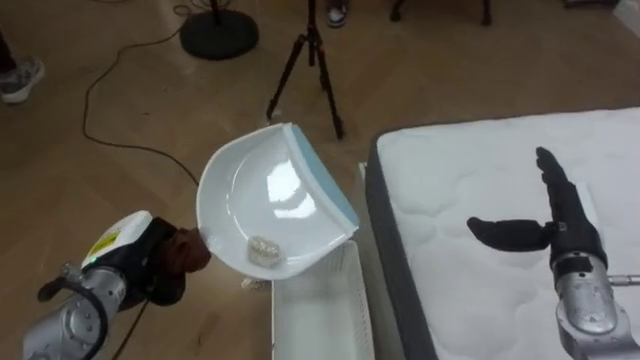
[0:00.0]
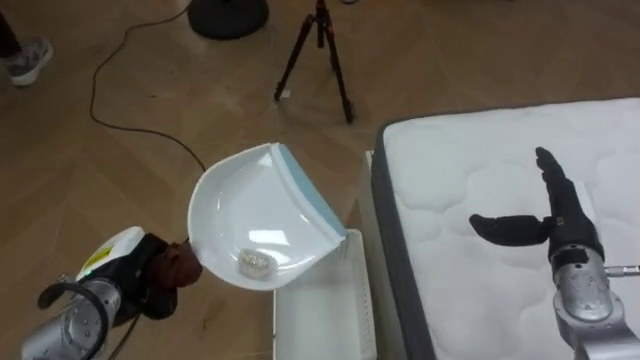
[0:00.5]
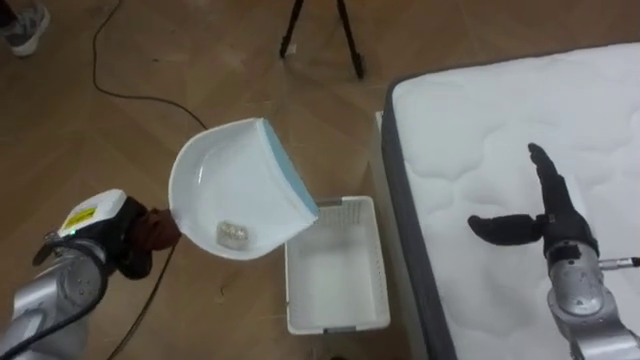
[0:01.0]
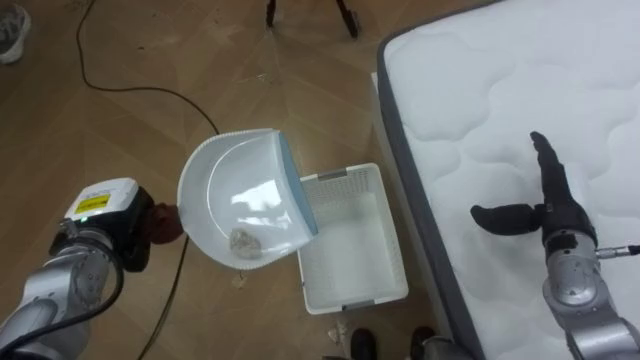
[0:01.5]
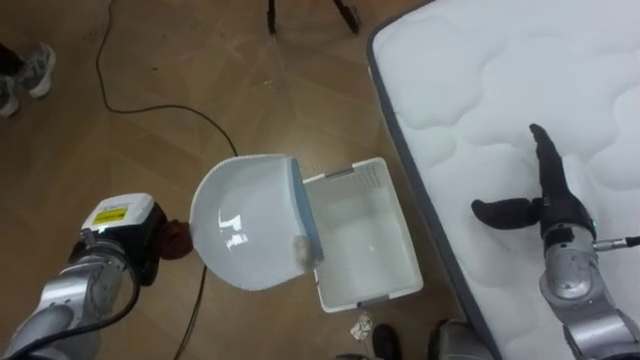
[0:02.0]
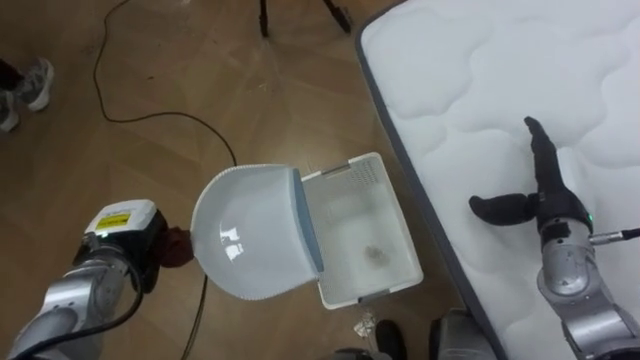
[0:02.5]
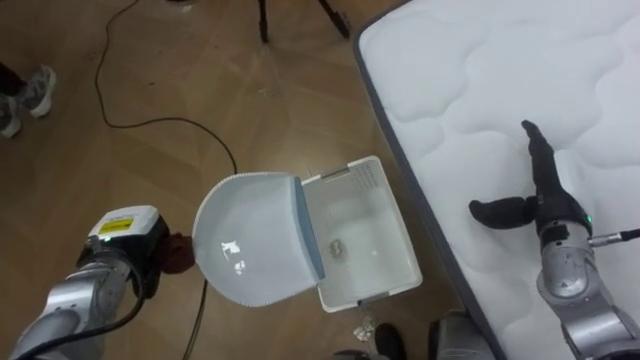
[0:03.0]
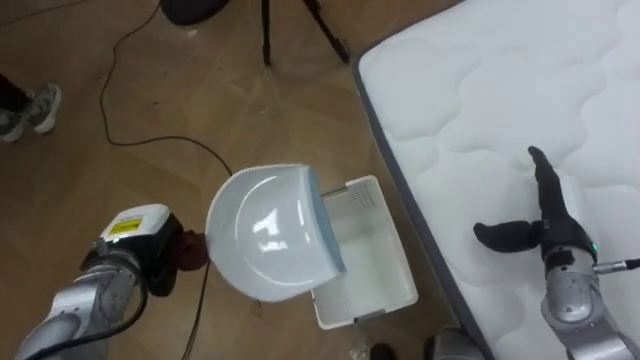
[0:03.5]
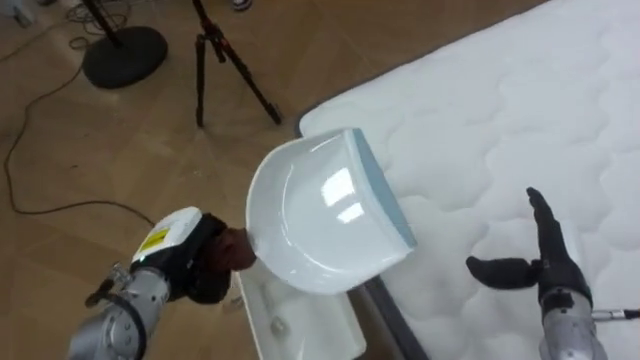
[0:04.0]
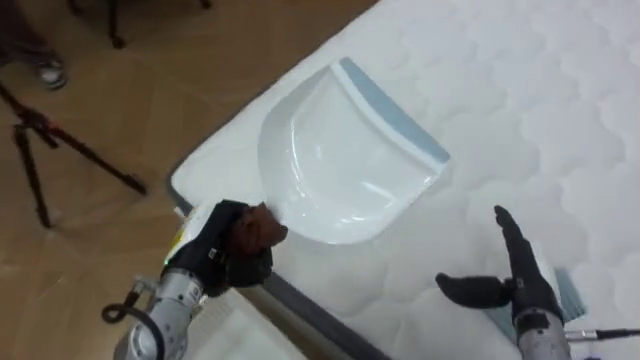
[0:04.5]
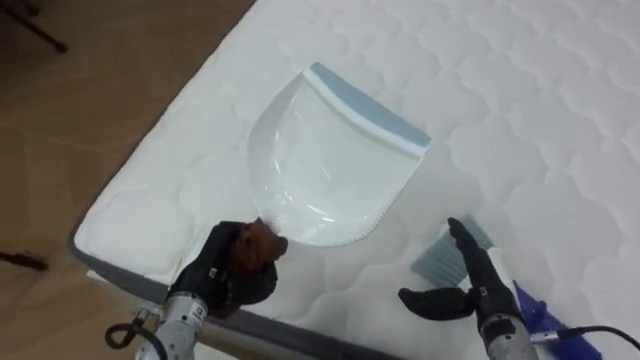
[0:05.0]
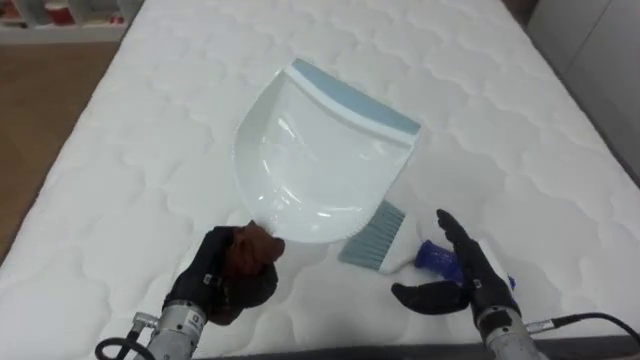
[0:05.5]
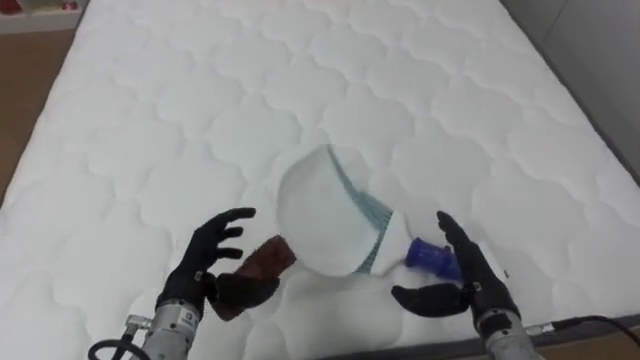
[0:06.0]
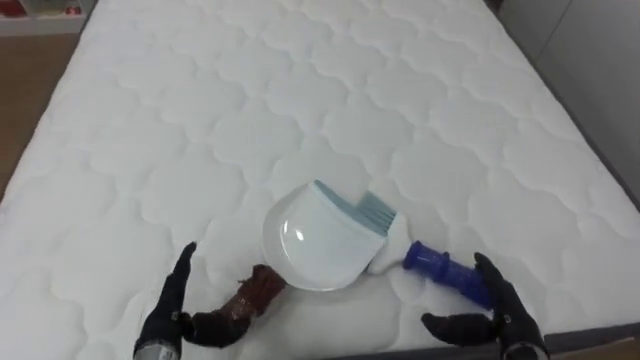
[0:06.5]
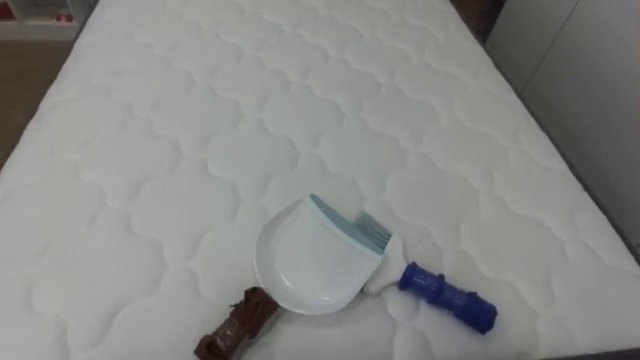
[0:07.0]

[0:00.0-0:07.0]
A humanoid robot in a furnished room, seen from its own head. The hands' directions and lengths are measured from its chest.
Task of the whole recording: Pick up the brush on your right and the dustpan on your left. Use the brush to sweep the crumpled paper on the bed into the dustpan, then turn left and empty it into the basket.
0:03.5 to 0:05.0: The robot faces some 60 degrees further to its right. The right hand travels to the left, backward and downward by about 15 cm, while the left hand travels to the right by some 10 cm.
0:05.0 to 0:07.0: The robot turns to its right by about 25 degrees.

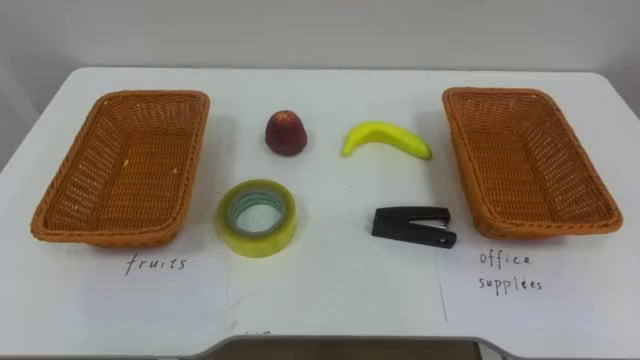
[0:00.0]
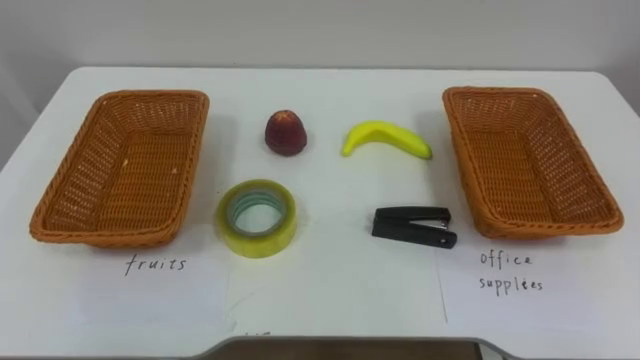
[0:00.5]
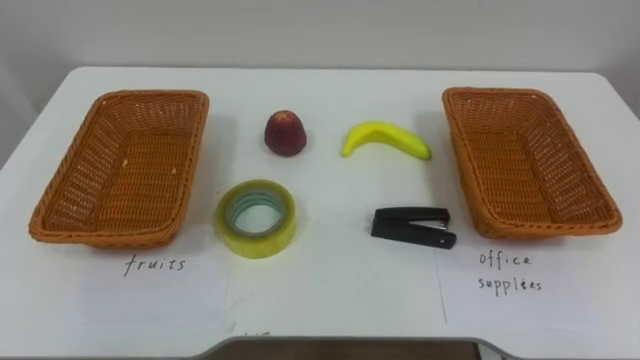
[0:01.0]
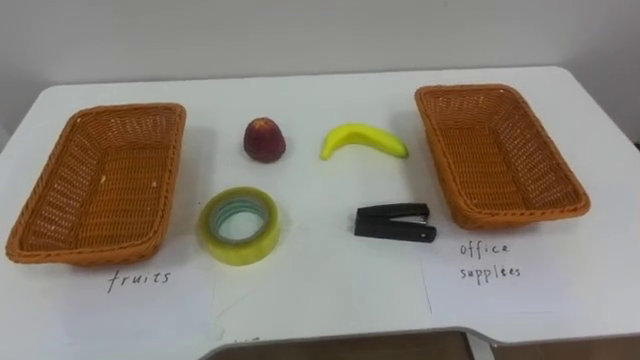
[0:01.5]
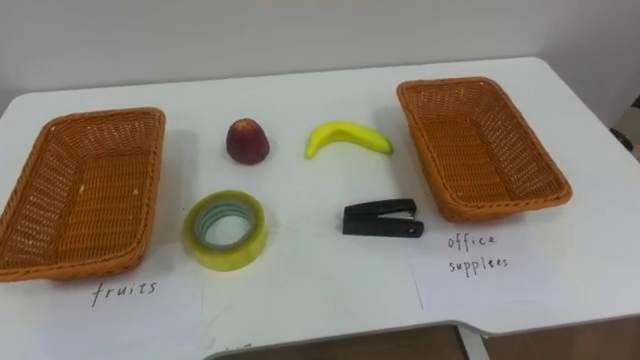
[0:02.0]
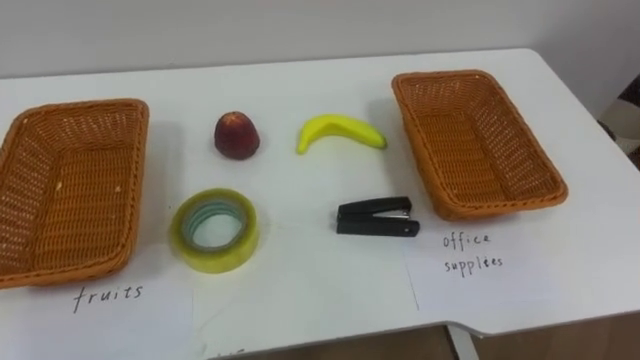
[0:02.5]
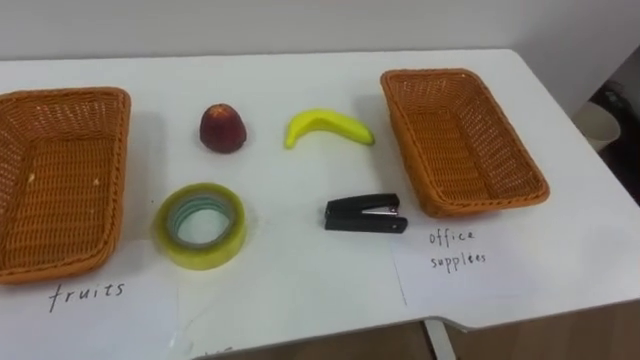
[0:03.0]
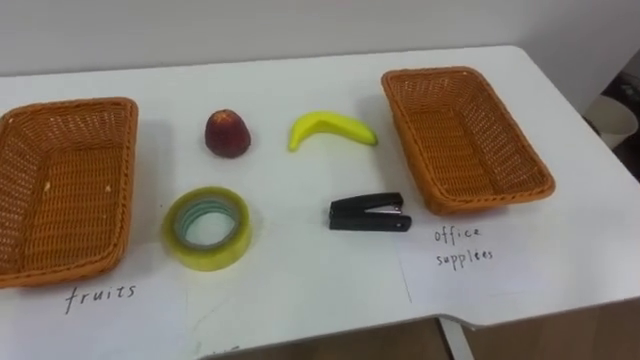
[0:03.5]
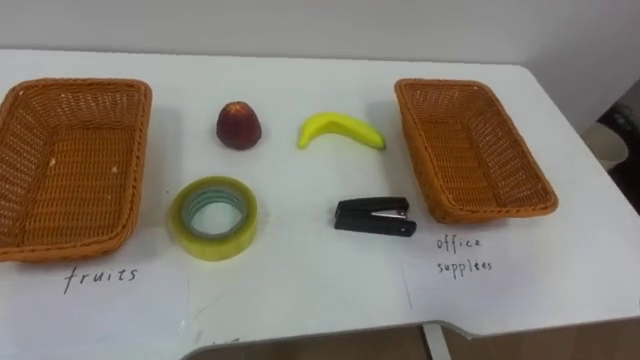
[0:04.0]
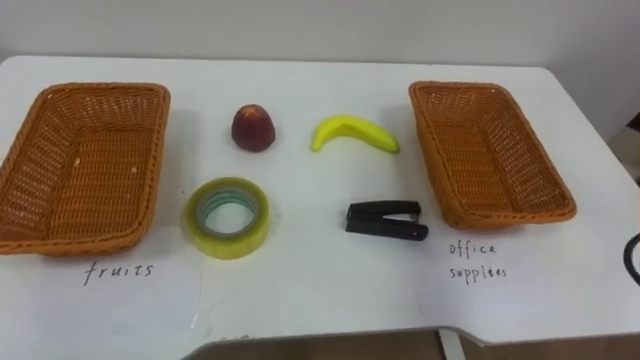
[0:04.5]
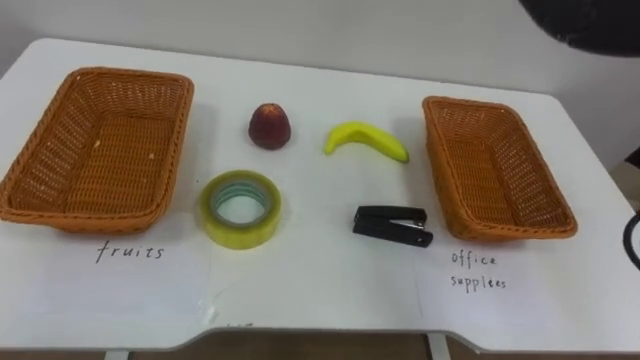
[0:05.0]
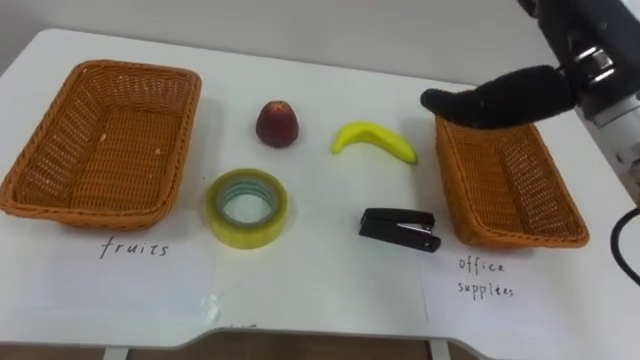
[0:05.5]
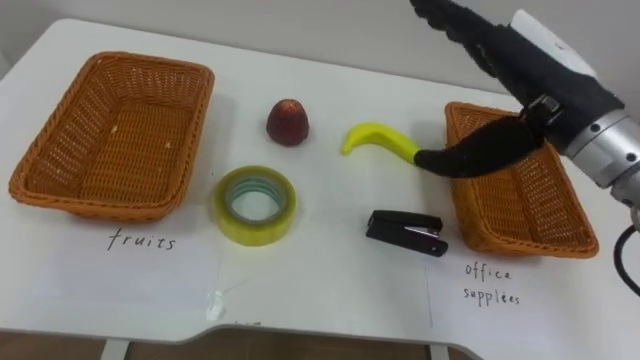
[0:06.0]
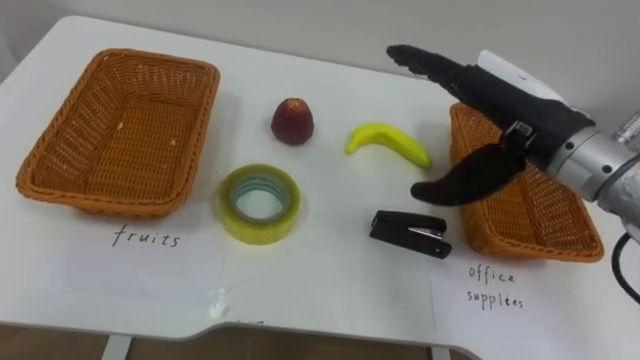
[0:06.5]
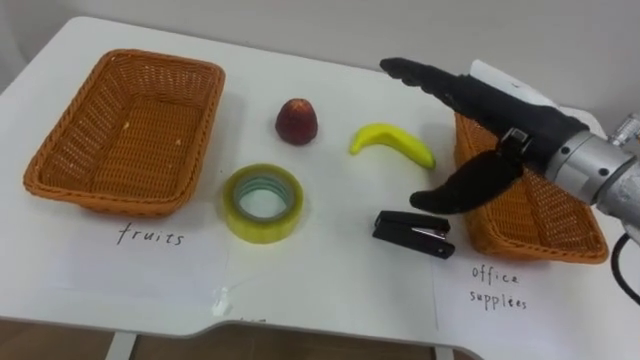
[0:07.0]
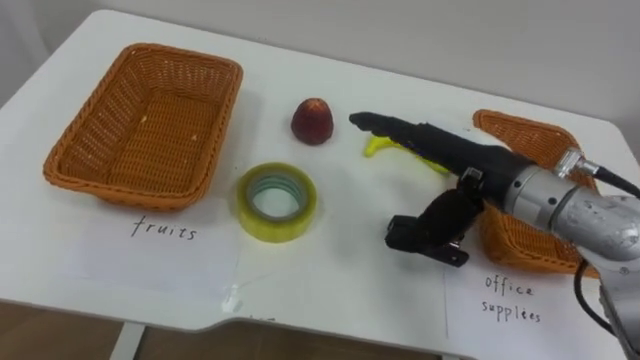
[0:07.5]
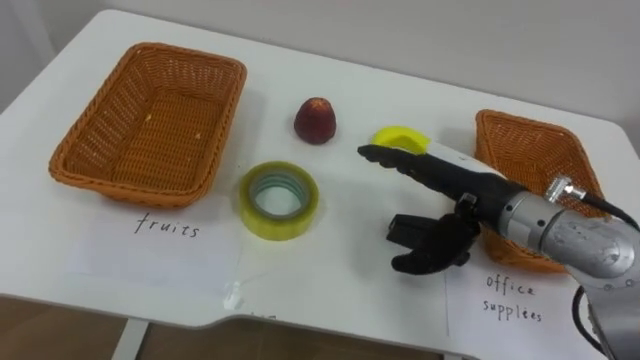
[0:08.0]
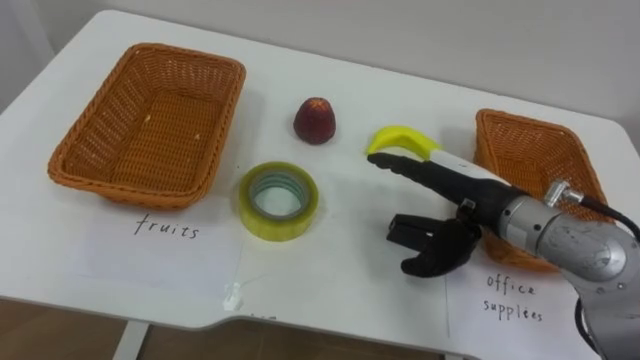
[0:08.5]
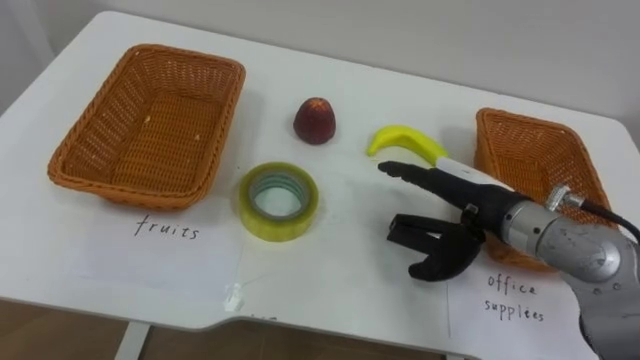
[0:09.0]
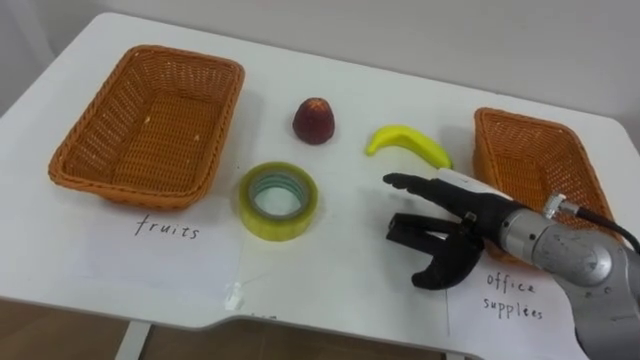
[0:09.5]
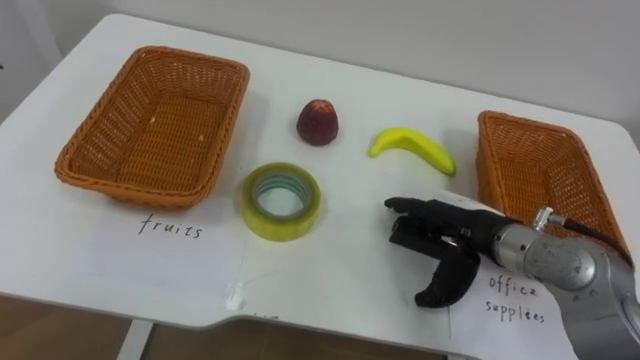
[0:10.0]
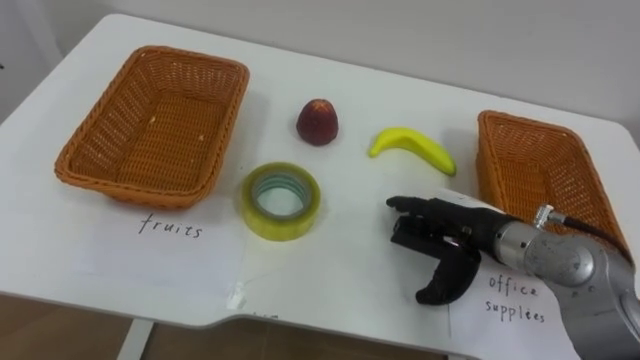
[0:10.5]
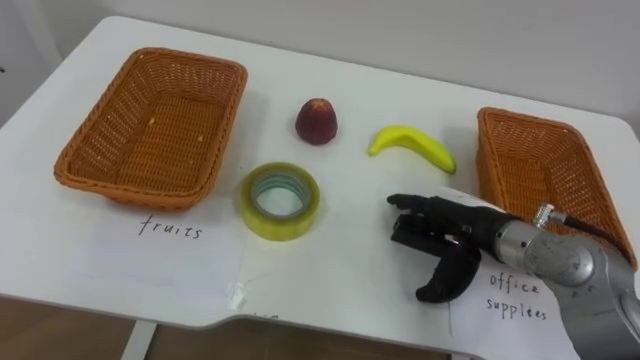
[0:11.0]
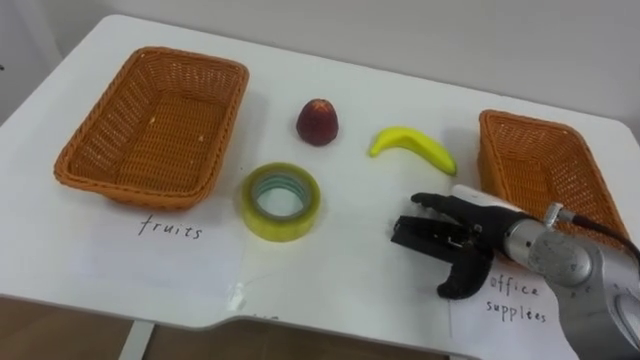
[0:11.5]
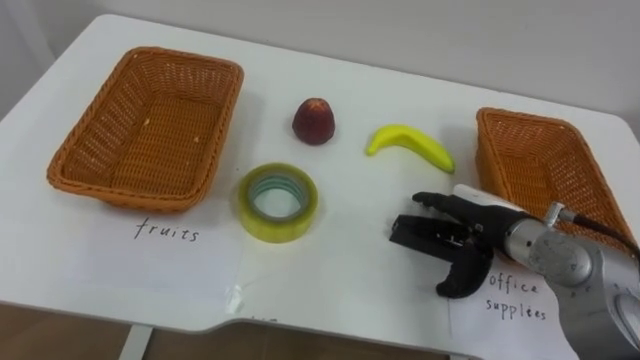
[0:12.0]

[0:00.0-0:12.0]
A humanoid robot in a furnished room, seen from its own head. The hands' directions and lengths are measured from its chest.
Task of the whole recording: Separate the items on the table and place them into the two baskets.
0:06.0 to 0:08.0: The right hand moves downward, roughly 10 cm.
0:08.0 to 0:10.0: The right hand travels downward by some 5 cm.

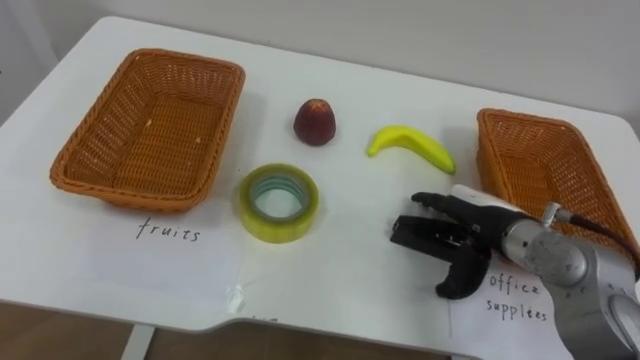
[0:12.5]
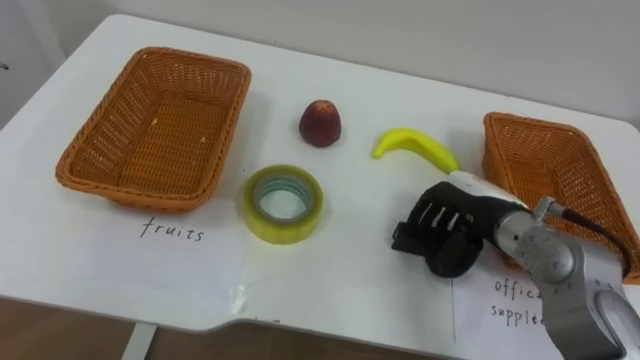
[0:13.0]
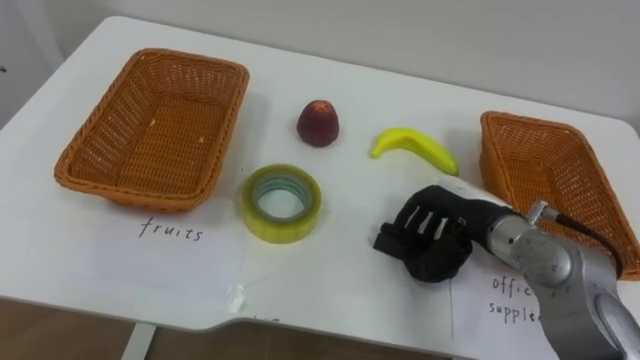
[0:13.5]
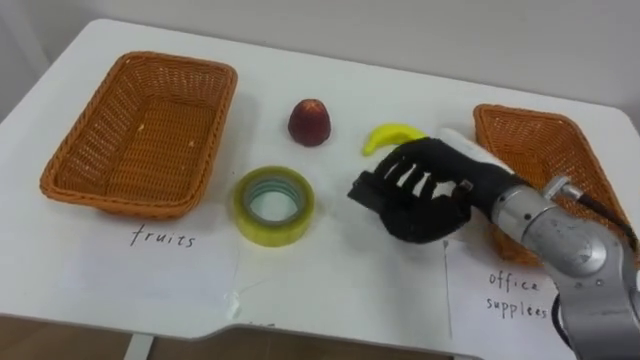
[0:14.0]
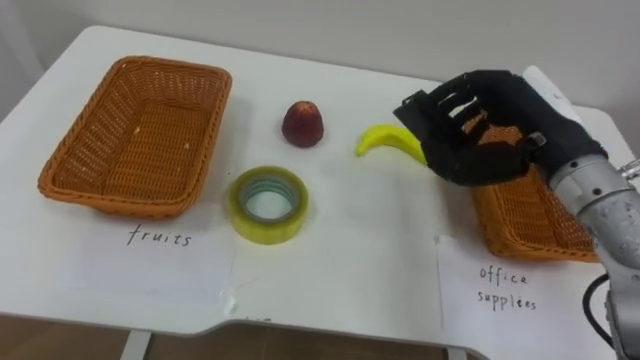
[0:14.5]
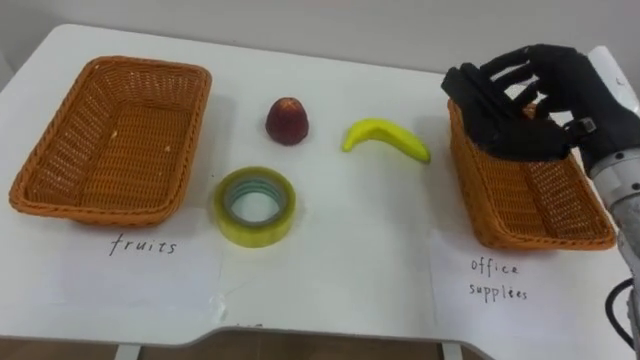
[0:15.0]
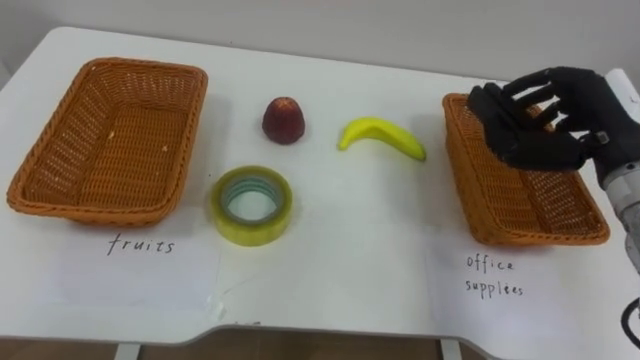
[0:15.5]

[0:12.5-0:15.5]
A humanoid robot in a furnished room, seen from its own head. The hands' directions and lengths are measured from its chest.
Task of the whole recording: Separate the items on the table and place them into the two baskets.
0:12.5 to 0:14.0: The right hand heads upward, covering approximately 5 cm, and closes.
0:14.0 to 0:15.5: The right hand travels to the right and upward by about 15 cm.
